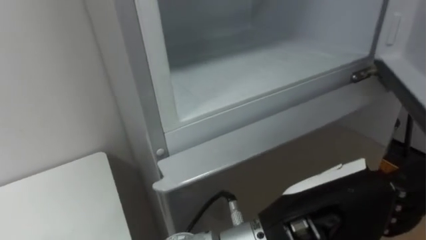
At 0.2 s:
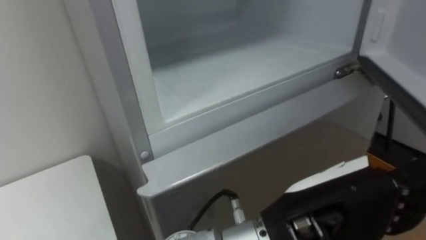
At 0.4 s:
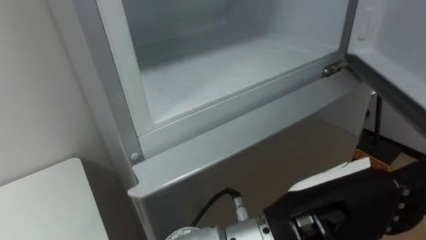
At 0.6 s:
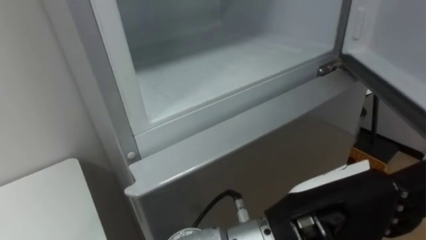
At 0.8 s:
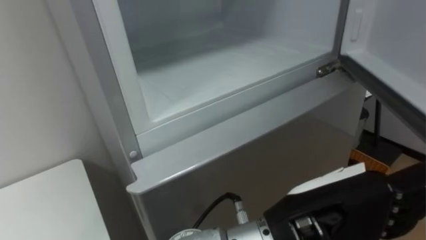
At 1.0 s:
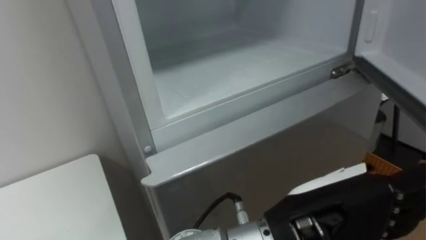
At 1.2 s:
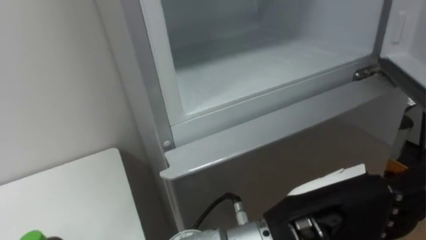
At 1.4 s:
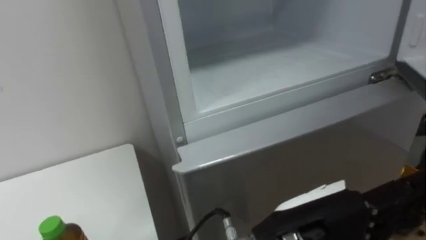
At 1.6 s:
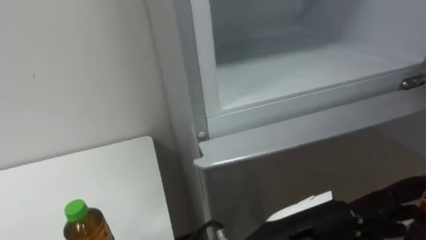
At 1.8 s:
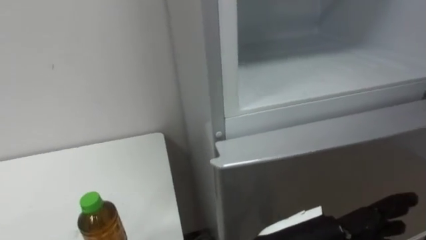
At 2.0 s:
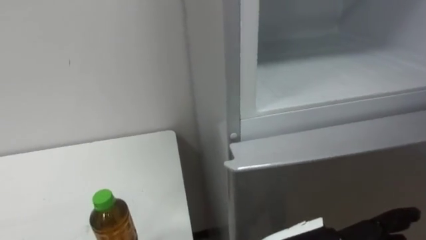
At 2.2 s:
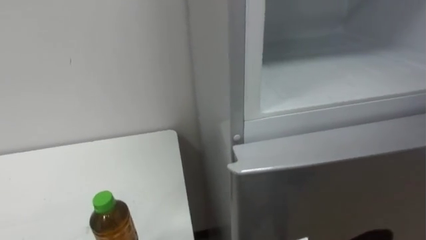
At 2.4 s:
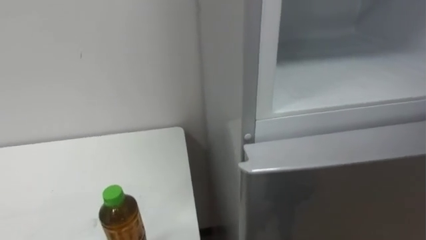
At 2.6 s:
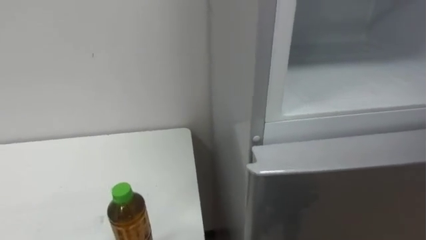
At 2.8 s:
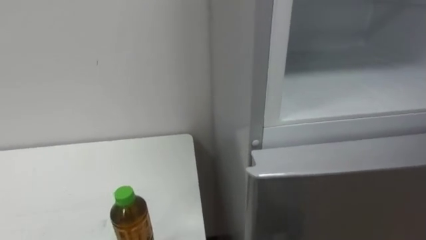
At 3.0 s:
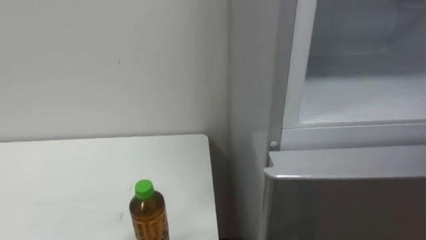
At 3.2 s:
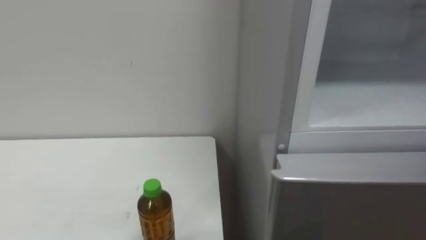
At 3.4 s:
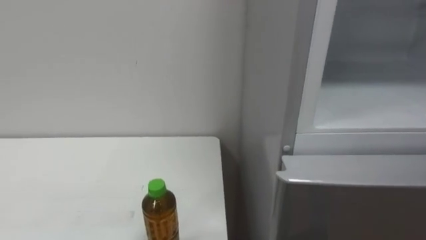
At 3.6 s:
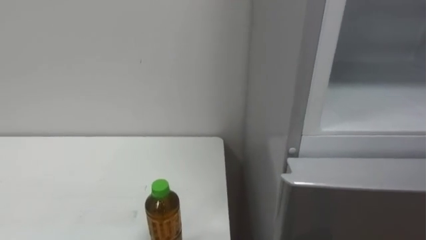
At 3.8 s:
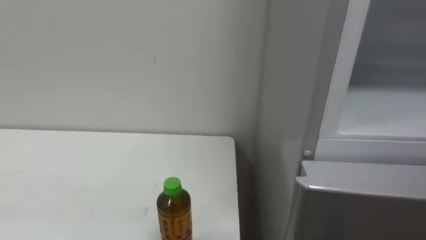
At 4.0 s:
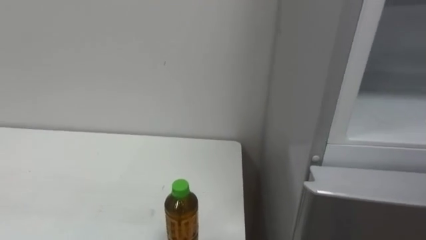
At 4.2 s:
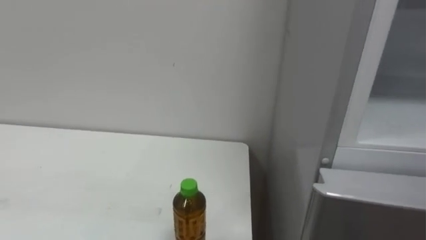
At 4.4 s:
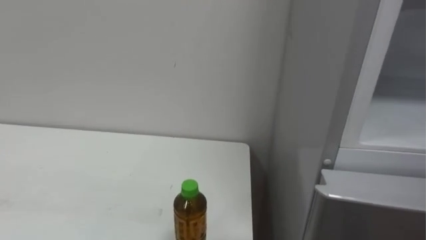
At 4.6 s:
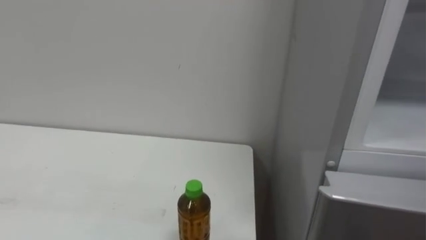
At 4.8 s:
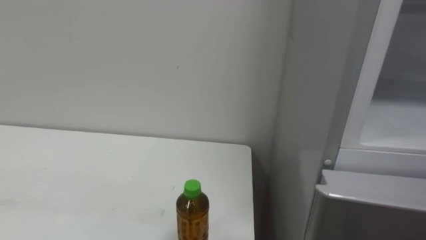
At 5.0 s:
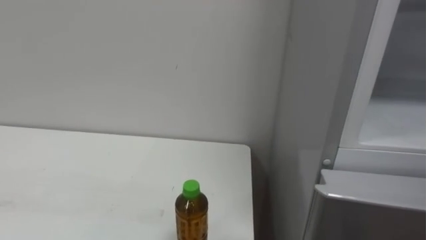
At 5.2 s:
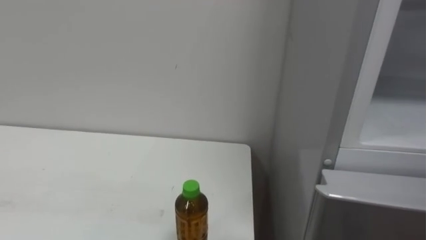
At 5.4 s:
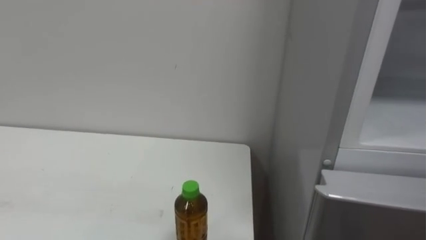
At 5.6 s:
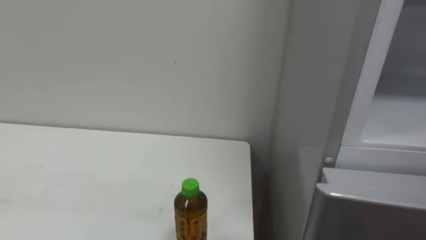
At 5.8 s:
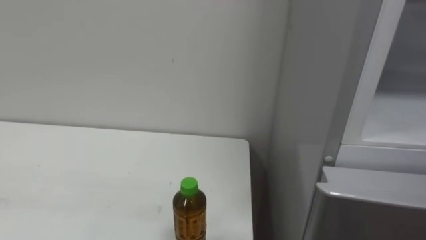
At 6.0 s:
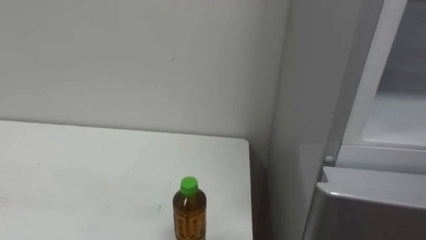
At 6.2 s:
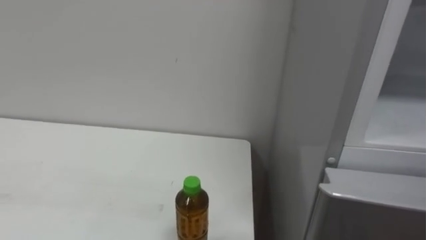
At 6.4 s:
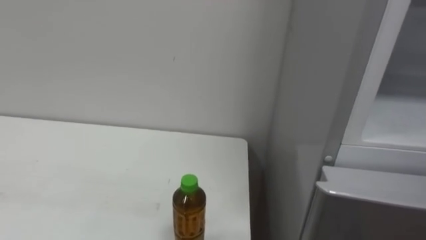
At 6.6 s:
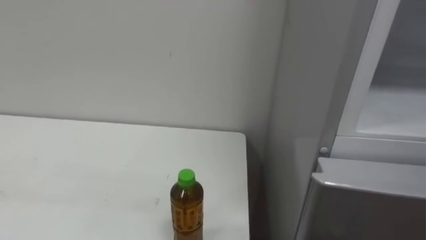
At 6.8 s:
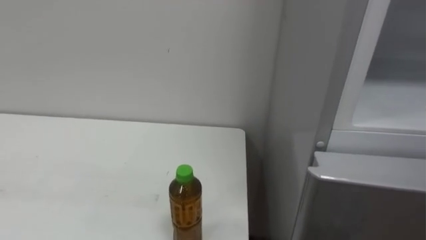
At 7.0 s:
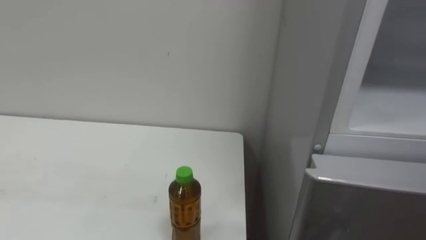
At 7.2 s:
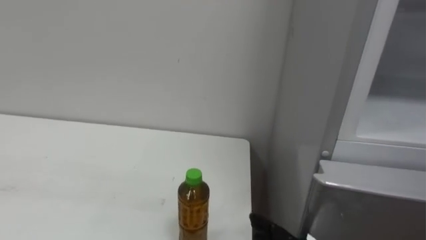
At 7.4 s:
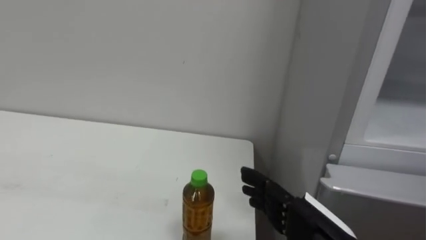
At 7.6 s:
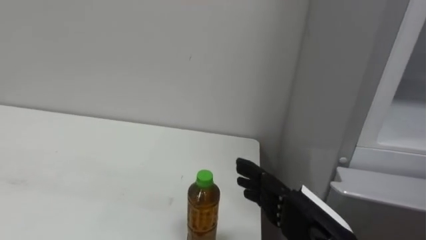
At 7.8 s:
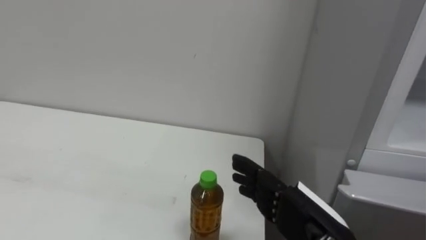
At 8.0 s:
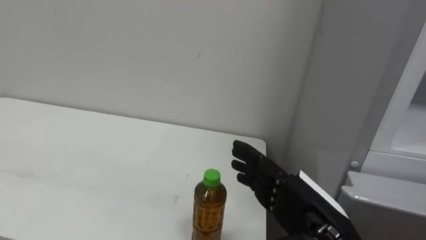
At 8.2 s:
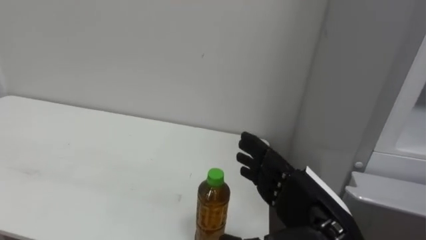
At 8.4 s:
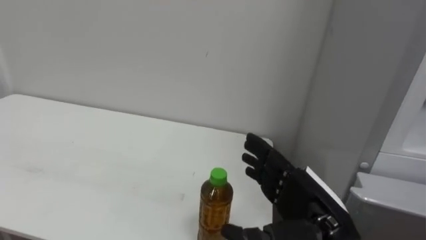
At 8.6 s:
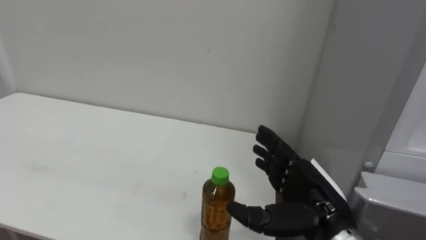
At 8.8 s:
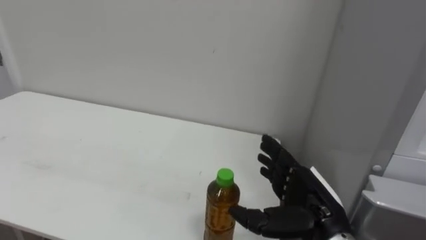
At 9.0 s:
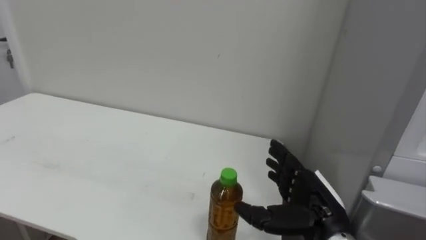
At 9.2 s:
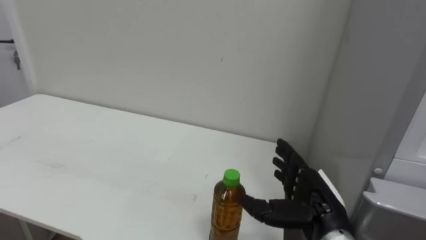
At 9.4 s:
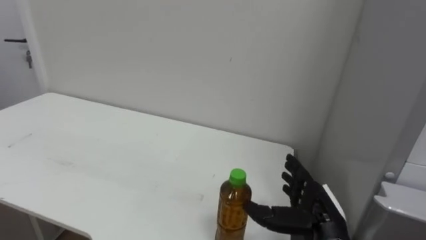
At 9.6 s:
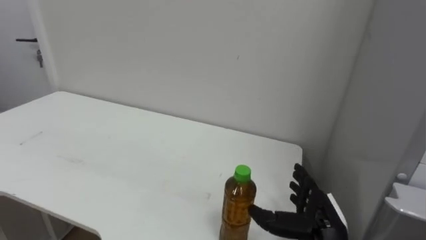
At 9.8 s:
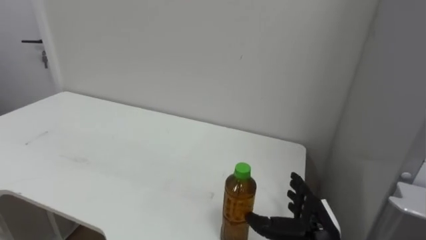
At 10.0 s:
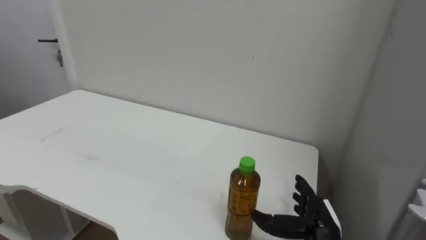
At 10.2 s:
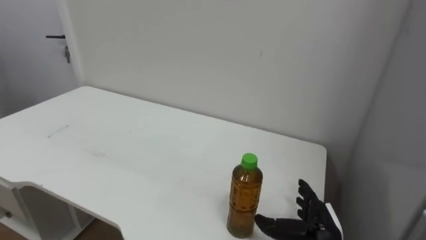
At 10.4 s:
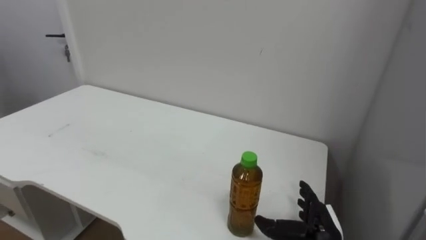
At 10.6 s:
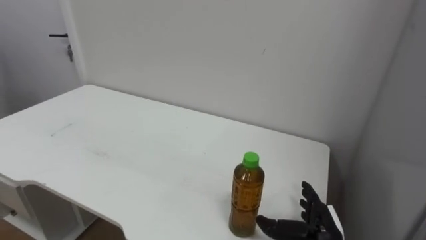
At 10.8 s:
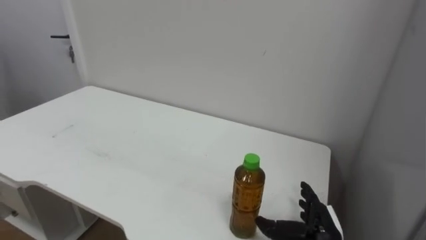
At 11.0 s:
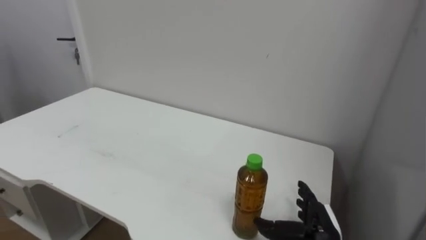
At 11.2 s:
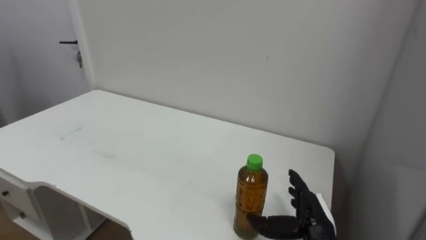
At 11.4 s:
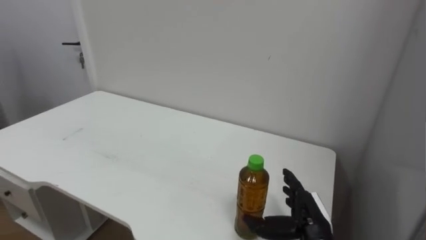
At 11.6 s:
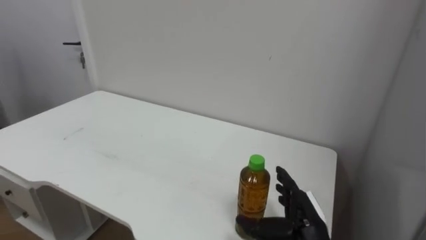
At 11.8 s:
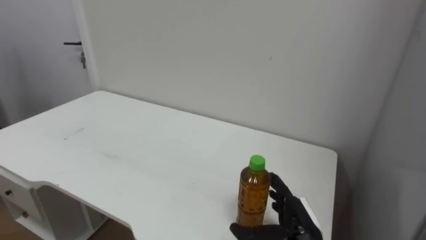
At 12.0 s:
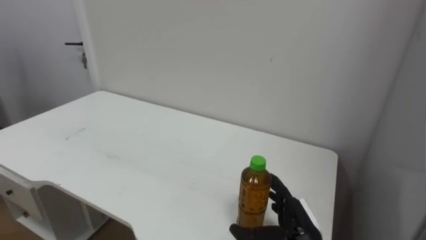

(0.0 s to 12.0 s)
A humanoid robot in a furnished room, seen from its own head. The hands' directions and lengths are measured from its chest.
Task of the whole recording: Open the upper refrigerator door, put the drink from the table into the refrigerator, and then close the refrigerator door.
0.0 s - 1.6 s: The left hand moves downward, roughly 5 cm.
7.6 s - 9.0 s: The right hand travels forward by some 5 cm.
9.0 s - 10.4 s: The right hand heads downward, covering roughly 10 cm.

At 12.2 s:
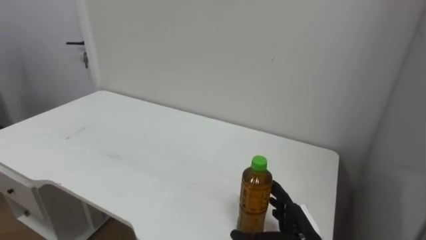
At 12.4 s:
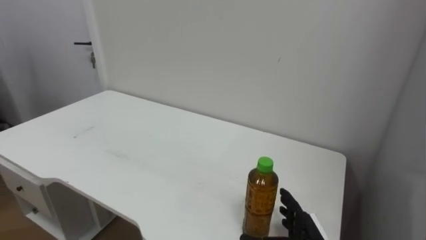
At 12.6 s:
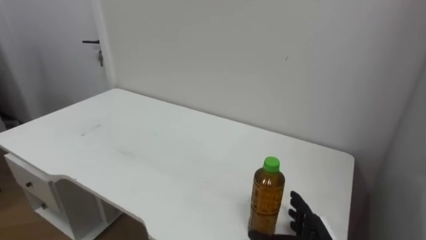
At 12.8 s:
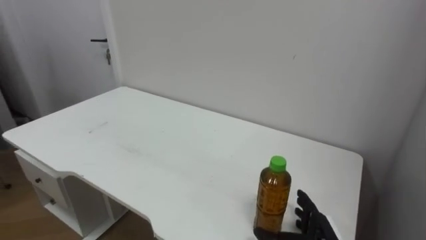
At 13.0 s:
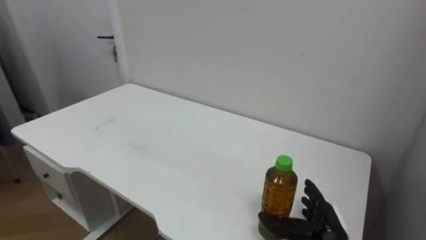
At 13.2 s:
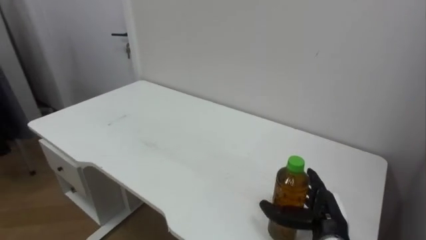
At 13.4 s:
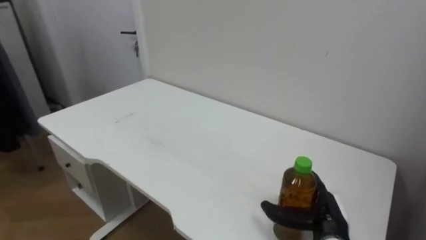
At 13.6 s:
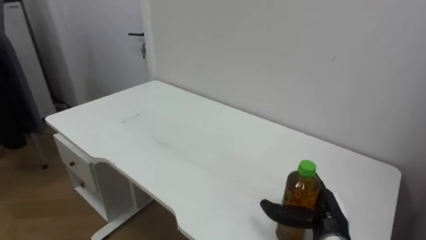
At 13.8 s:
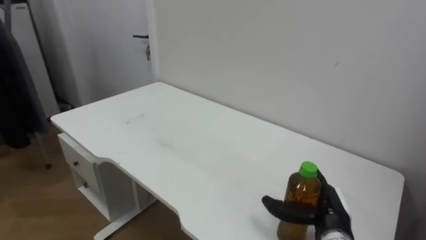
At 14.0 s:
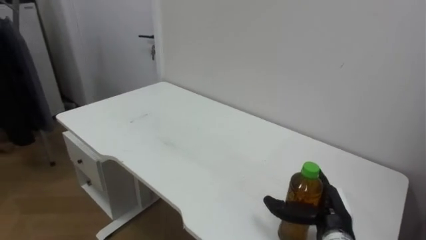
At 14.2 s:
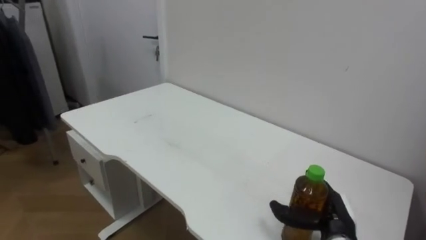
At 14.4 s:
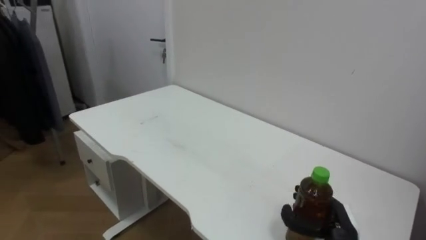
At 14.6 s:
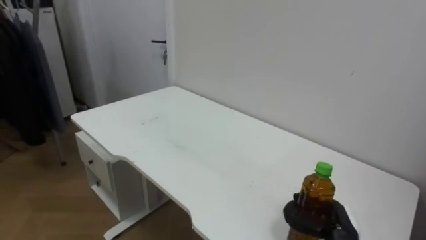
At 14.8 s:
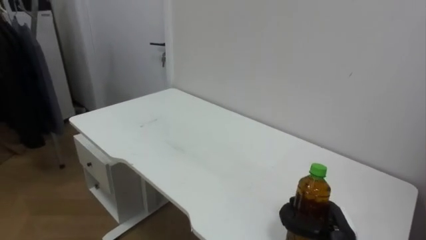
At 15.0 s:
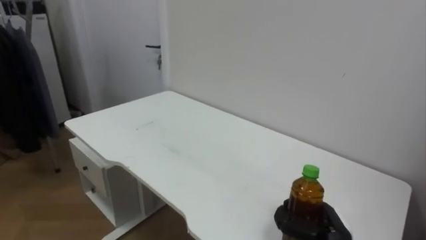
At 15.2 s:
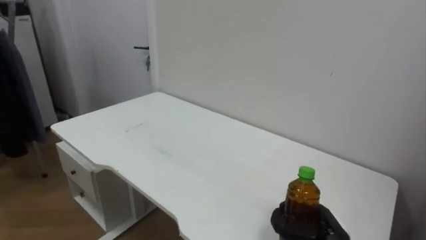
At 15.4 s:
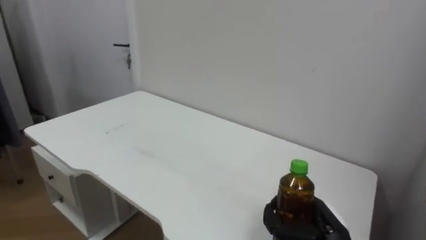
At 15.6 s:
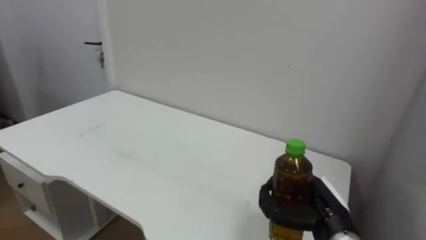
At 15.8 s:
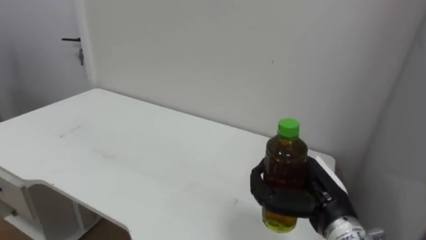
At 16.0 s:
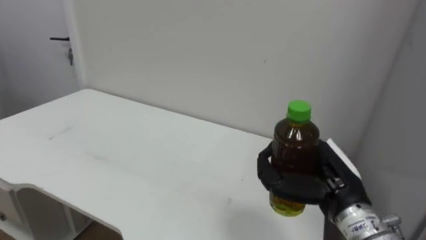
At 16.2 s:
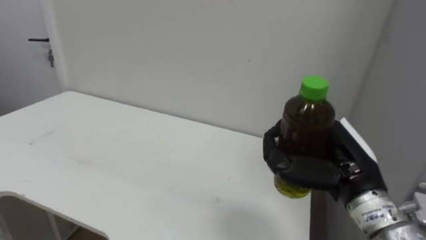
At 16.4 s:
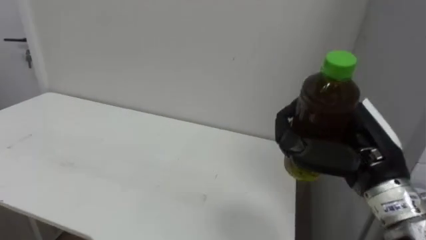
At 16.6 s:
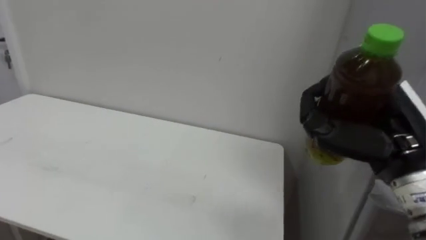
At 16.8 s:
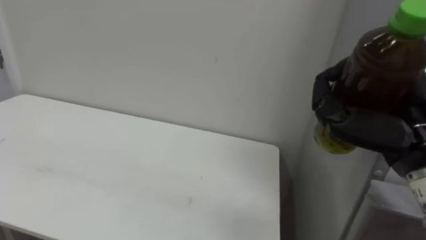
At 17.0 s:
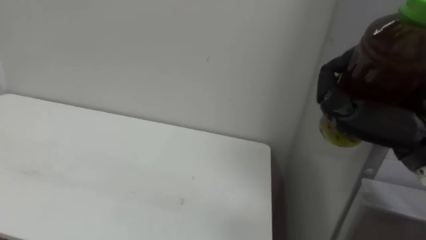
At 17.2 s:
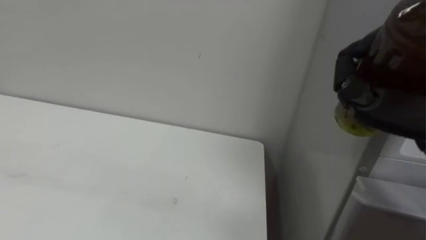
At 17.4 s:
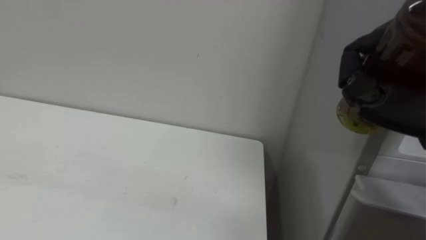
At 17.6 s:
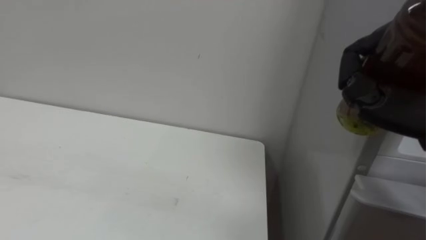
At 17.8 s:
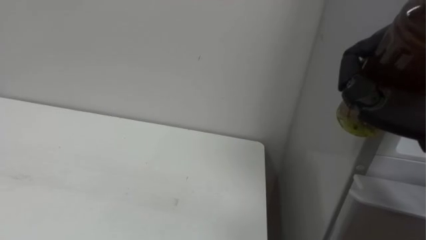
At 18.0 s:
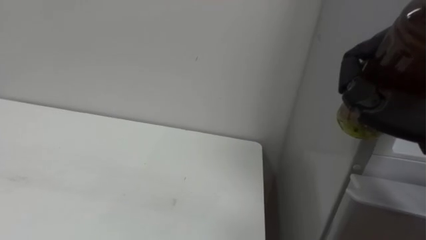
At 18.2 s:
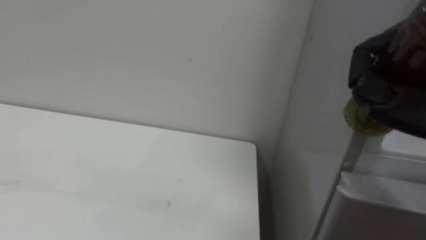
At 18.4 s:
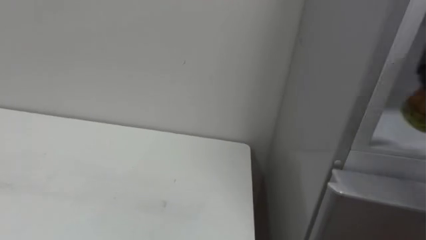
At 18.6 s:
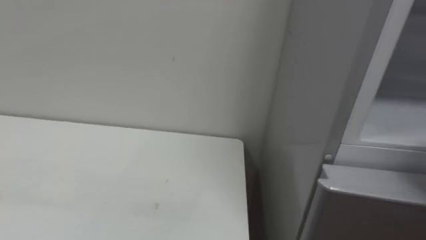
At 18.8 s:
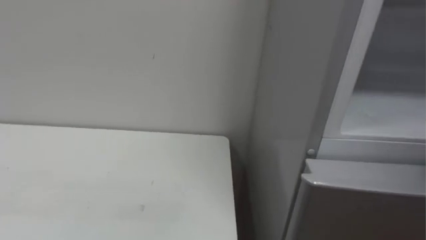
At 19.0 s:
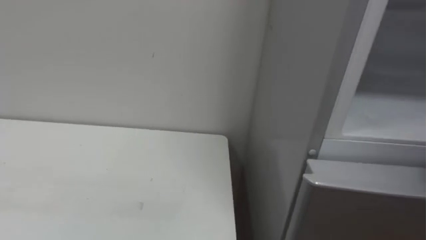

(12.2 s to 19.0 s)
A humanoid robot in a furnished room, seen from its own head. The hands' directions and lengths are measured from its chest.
Task of the whole recording: Open the upper refrigerator door, put the drink from the table into the refrigerator, and then close the refrigerator door.
12.2 s - 13.6 s: The right hand heads to the right, covering roughly 5 cm.
13.6 s - 15.0 s: The right hand closes.
15.0 s - 16.2 s: The right hand shifts some 20 cm upward.
